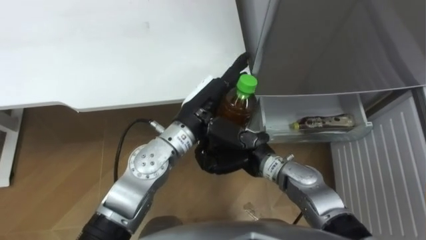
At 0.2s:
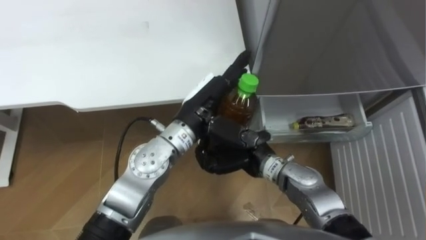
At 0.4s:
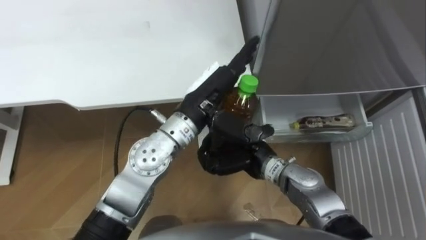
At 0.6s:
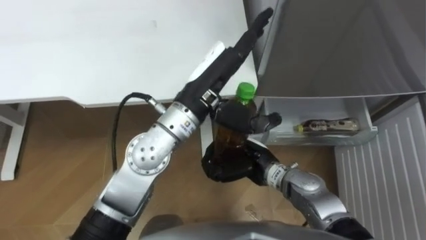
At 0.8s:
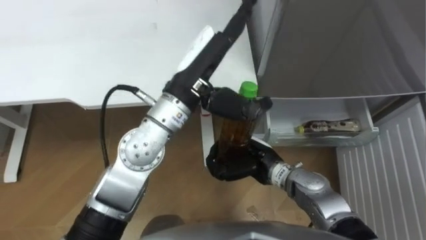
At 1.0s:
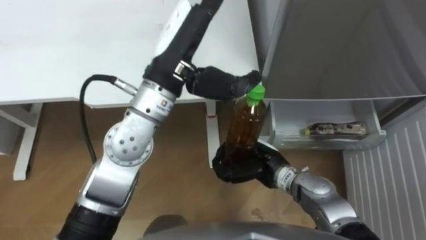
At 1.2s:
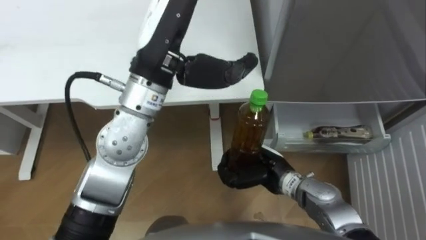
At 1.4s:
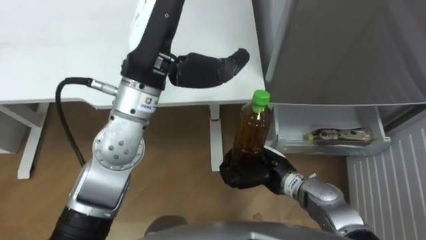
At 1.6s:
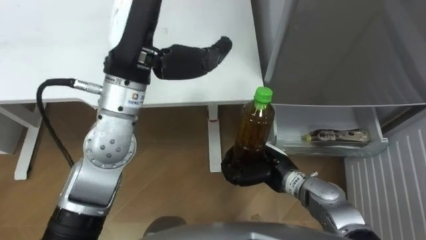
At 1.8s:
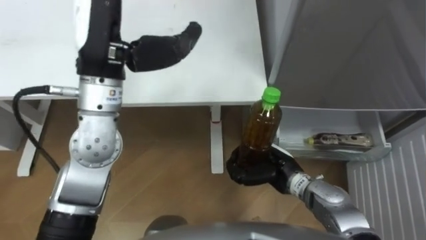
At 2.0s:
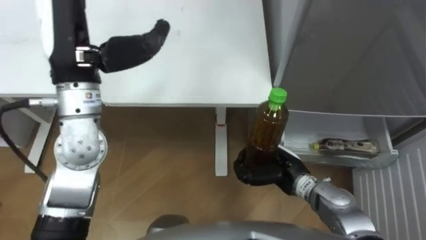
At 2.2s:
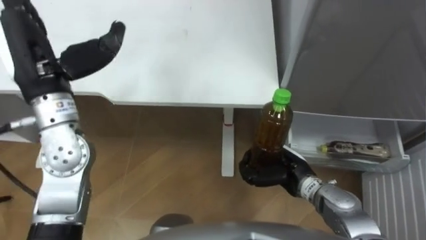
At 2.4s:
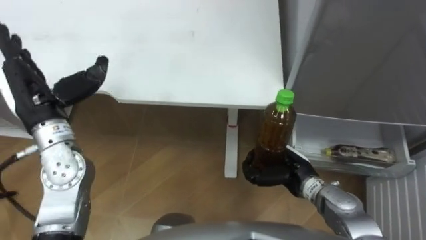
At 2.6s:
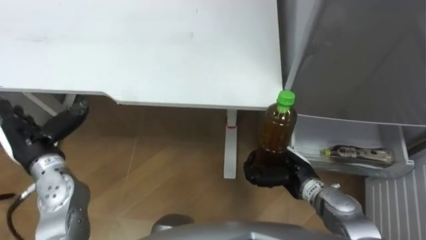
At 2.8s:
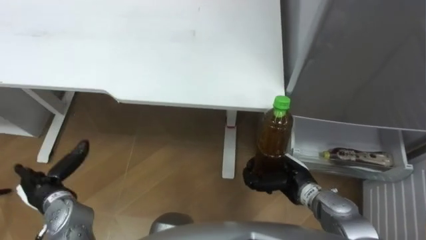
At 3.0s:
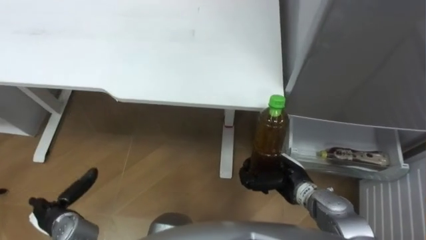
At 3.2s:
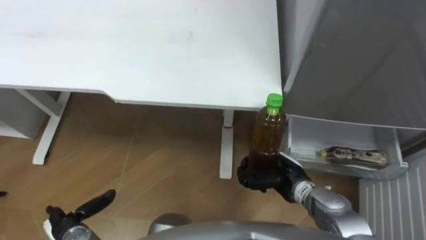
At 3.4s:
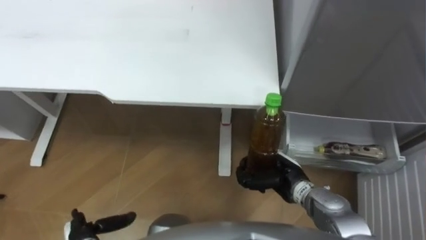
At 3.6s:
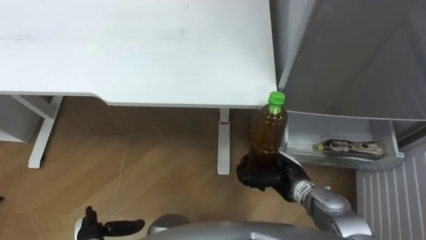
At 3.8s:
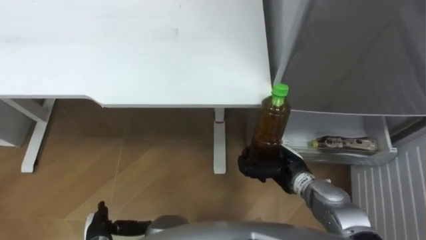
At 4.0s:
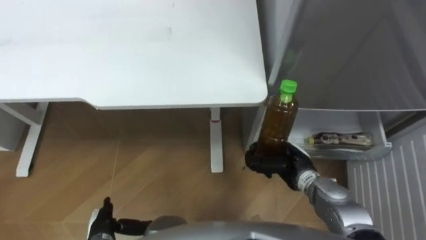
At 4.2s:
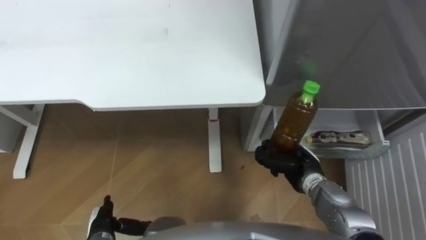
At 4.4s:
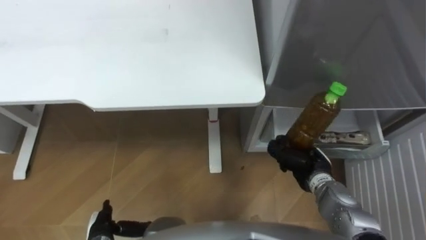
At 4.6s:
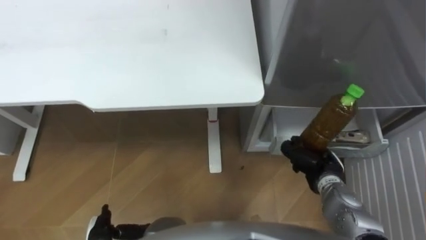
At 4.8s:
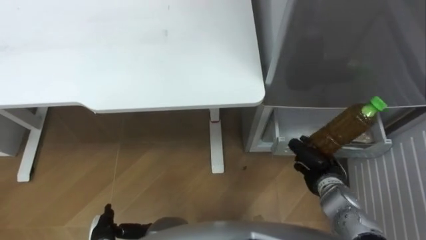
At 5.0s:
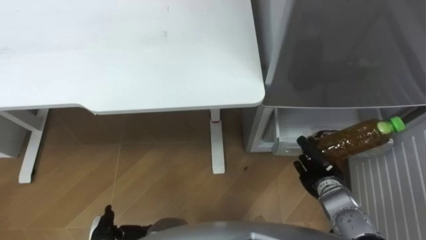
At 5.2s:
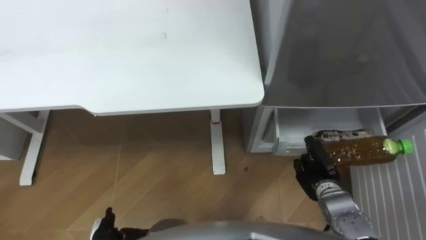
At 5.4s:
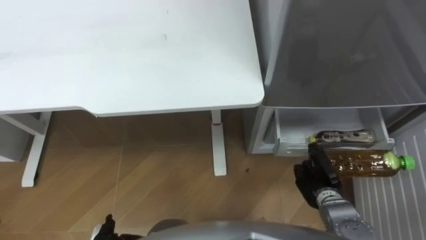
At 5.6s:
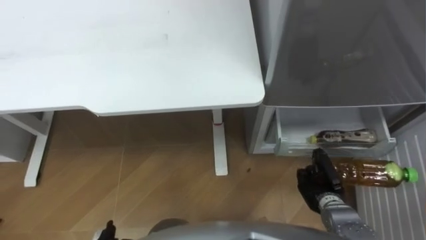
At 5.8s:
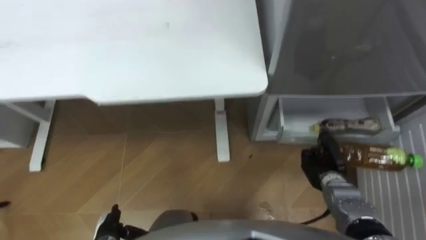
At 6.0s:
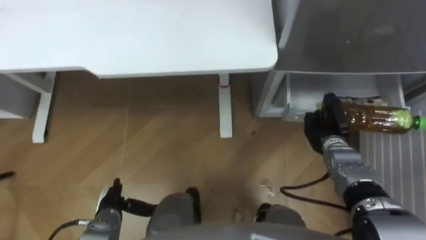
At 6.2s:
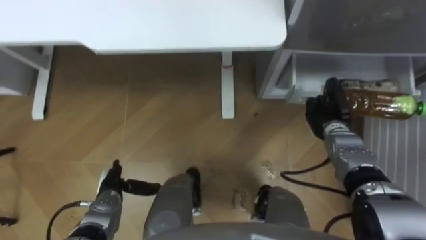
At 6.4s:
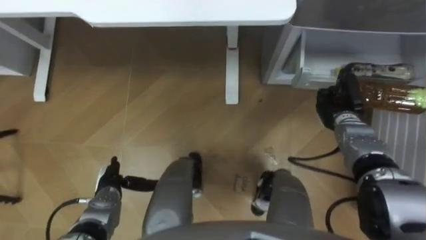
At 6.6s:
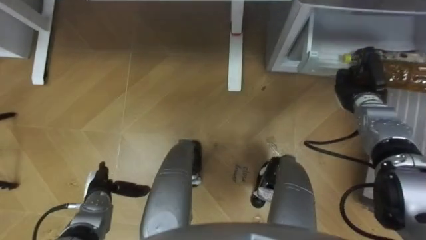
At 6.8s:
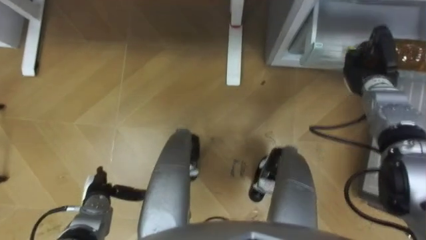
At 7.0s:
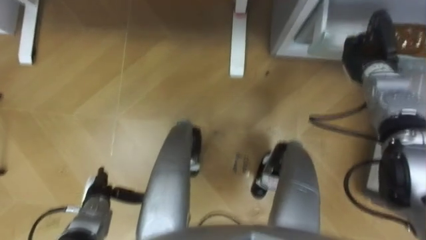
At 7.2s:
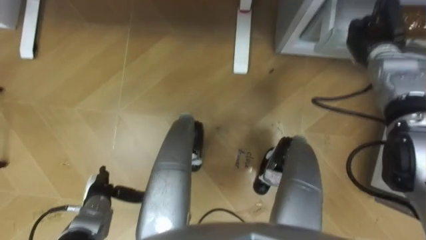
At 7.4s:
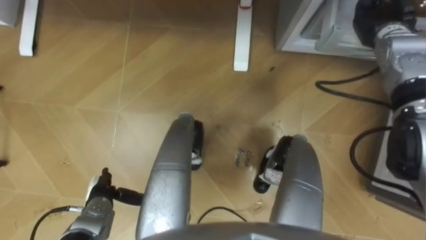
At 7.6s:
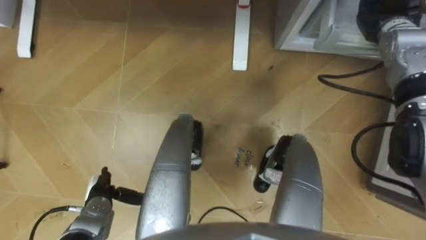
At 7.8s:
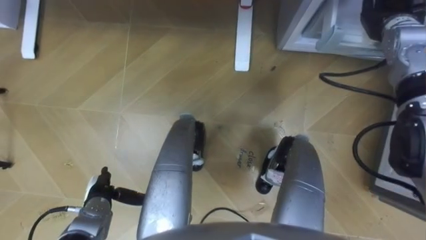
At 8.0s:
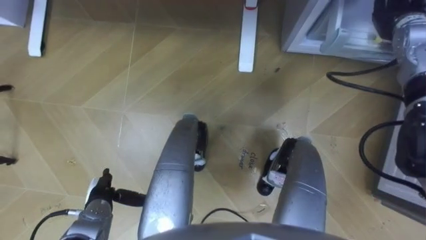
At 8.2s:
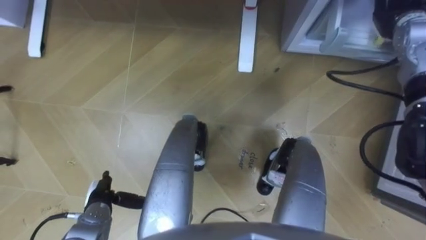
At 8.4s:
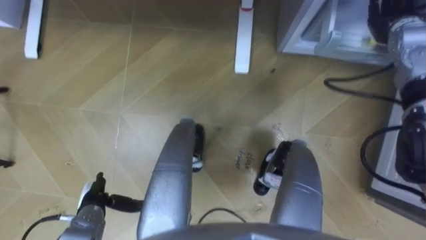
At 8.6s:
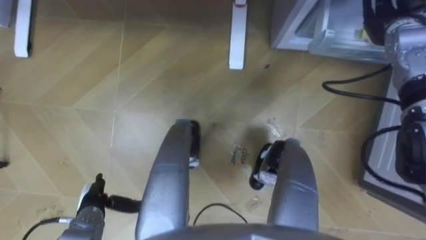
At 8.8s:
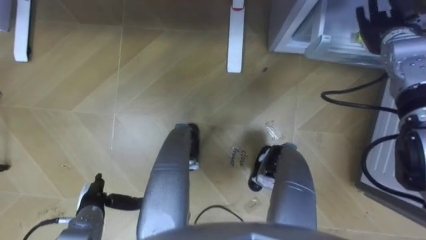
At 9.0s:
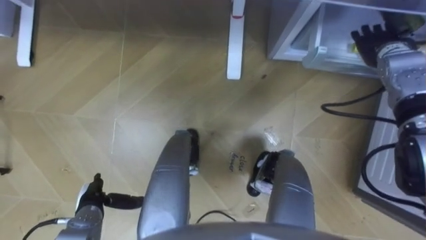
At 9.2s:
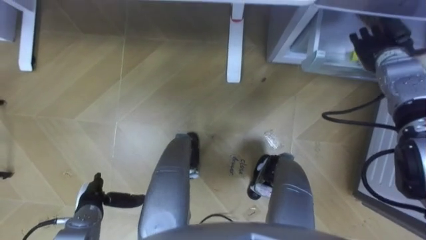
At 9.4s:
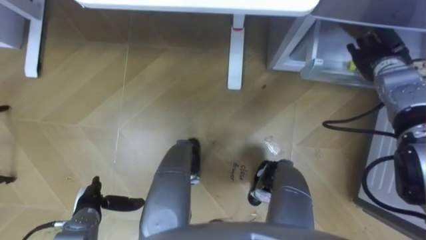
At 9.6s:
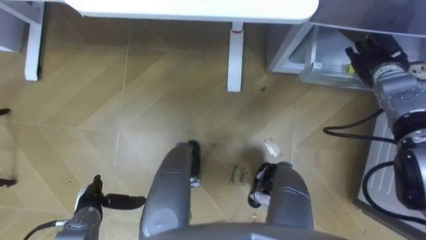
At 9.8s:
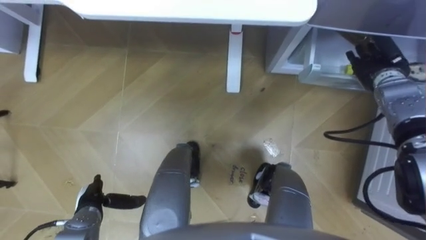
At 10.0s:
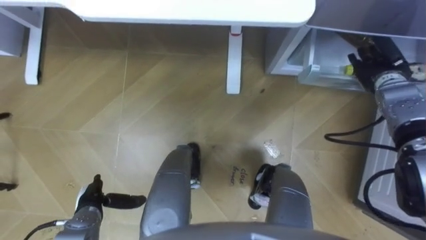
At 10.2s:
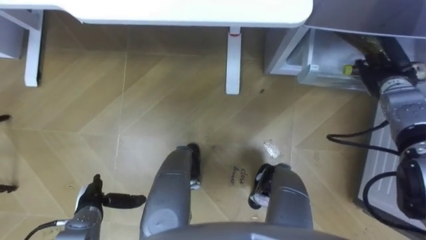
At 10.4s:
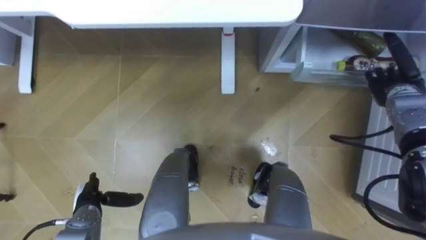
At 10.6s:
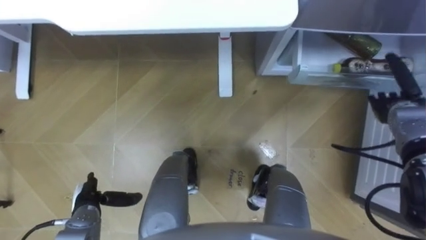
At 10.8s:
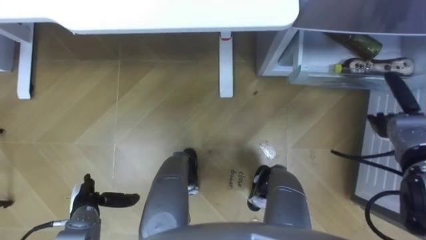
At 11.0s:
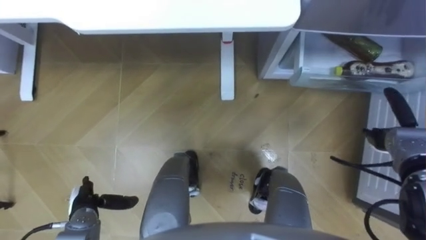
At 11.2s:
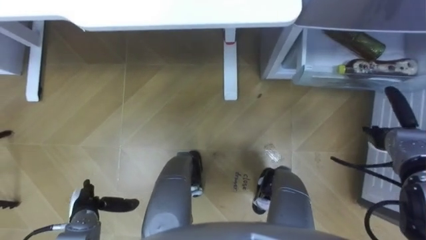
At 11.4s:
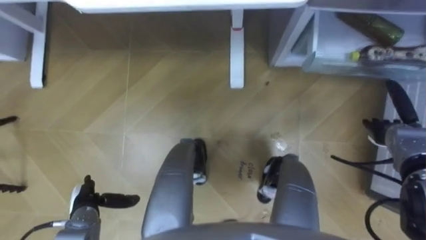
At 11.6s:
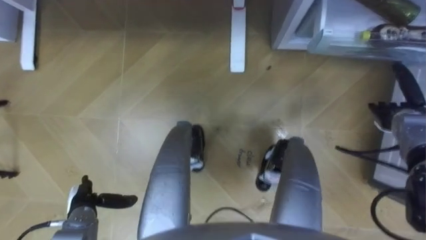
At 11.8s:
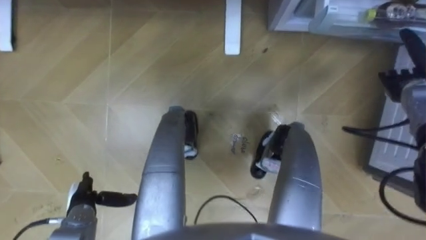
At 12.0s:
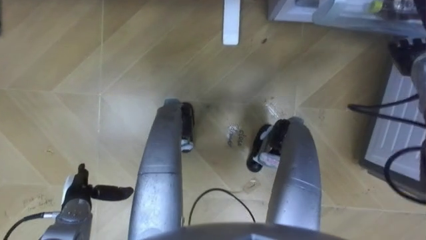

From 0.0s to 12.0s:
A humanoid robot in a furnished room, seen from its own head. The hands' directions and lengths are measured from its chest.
Task of the whole recording: Place the drink on the table on the bottom shelf of the refrigerator, then close the drawer and the refrigerator door.
From 0.0s to 1.6s: The right hand shifts some 5 cm to the right. The left hand goes about 20 cm upward and to the left.
From 1.6s to 3.0s: The right hand shifts by roughly 5 cm. Meanwhile the left hand moves downward, to the left and backward, about 40 cm.
From 3.0s to 4.4s: The left hand travels to the right and downward by approximately 10 cm. Meanwhile the right hand heads to the right, covering some 5 cm.
From 4.4s to 6.0s: The right hand goes about 5 cm forward.
From 6.0s to 7.6s: The right hand heads upward and forward, covering about 25 cm.
From 7.6s to 9.0s: The right hand opens up.
From 9.0s to 10.4s: The right hand travels backward and downward by about 10 cm.
From 10.4s to 12.0s: The right hand shifts roughly 5 cm upward.

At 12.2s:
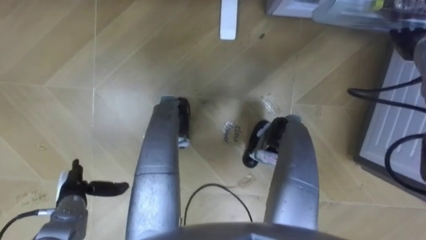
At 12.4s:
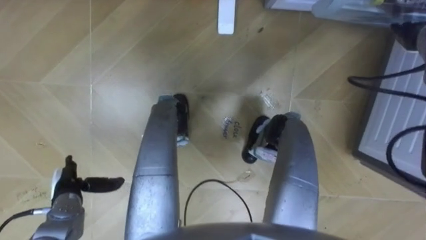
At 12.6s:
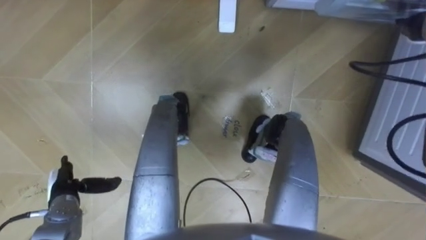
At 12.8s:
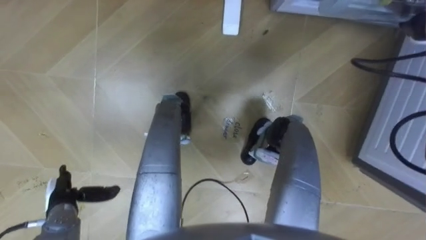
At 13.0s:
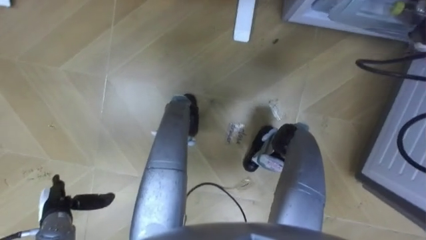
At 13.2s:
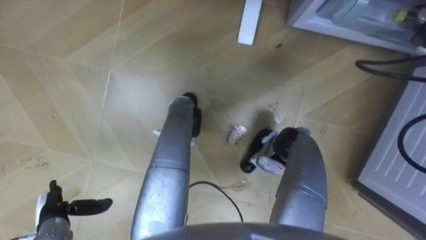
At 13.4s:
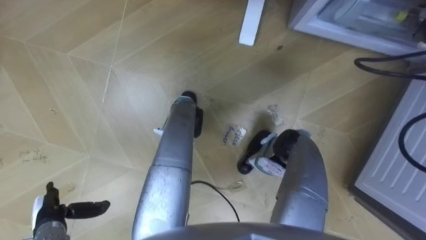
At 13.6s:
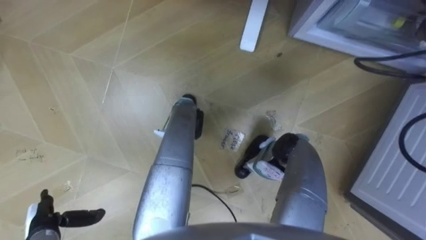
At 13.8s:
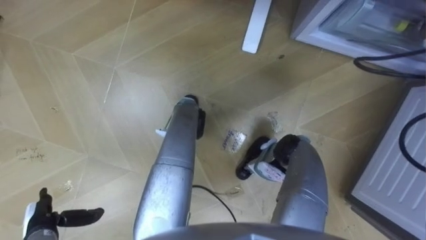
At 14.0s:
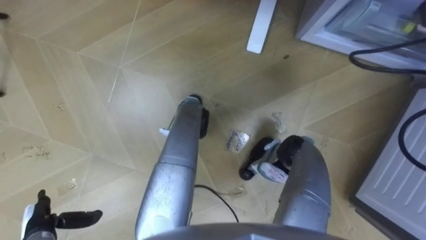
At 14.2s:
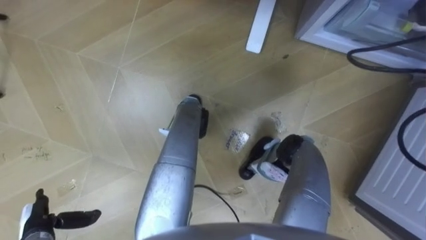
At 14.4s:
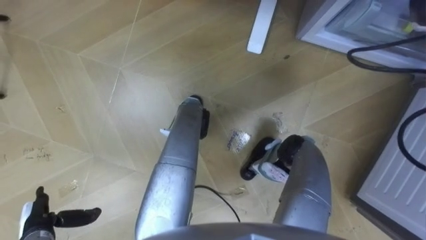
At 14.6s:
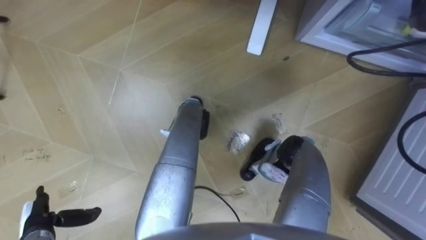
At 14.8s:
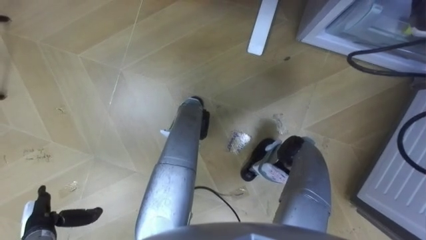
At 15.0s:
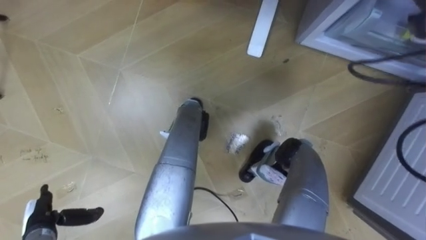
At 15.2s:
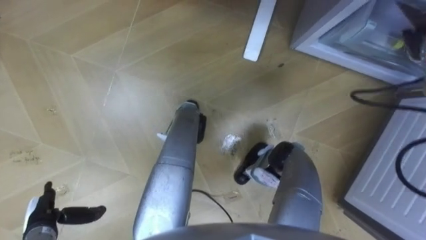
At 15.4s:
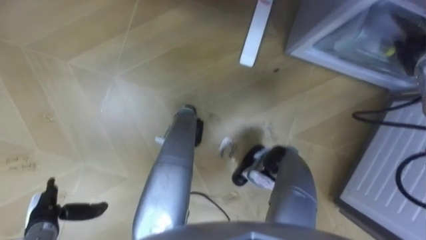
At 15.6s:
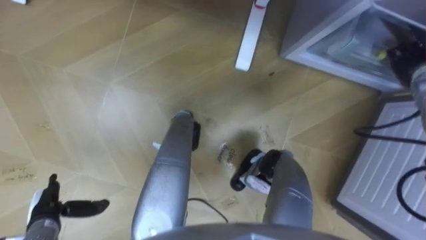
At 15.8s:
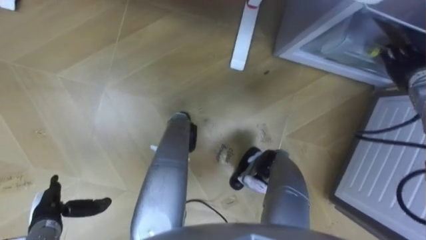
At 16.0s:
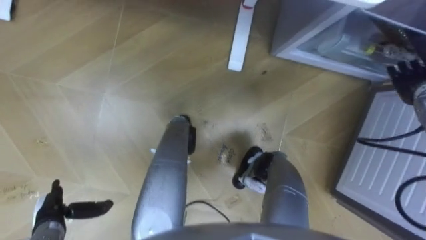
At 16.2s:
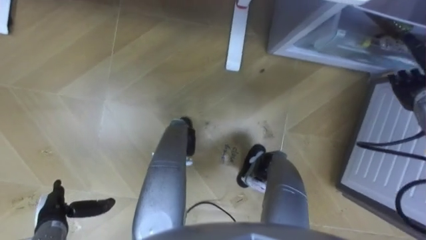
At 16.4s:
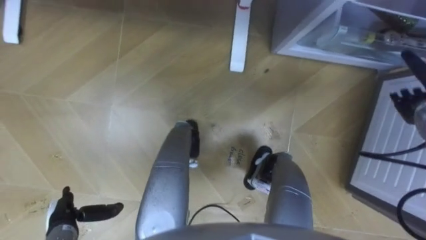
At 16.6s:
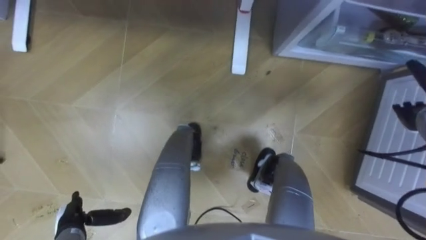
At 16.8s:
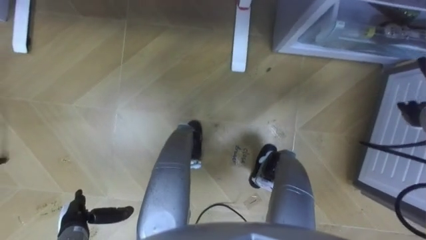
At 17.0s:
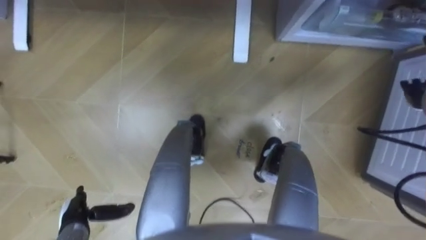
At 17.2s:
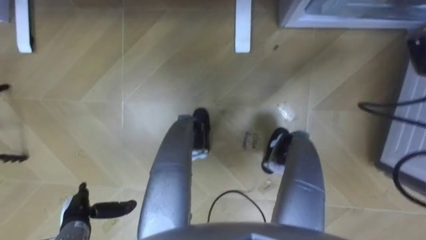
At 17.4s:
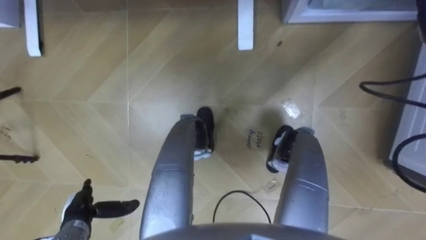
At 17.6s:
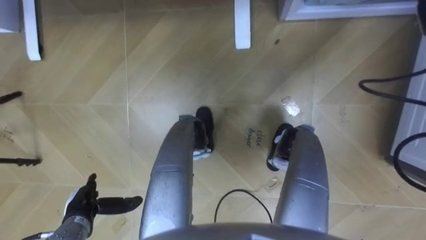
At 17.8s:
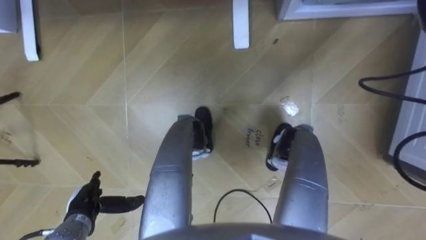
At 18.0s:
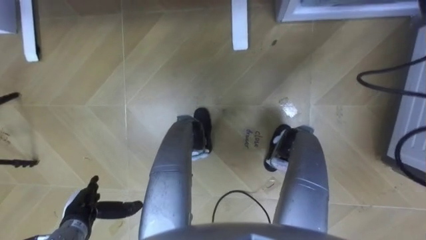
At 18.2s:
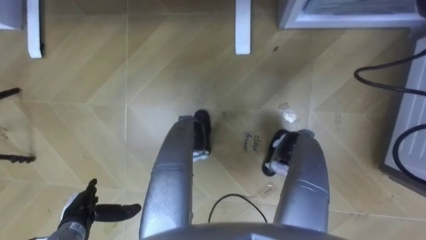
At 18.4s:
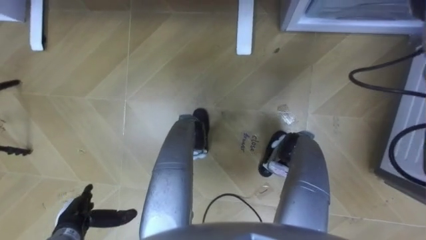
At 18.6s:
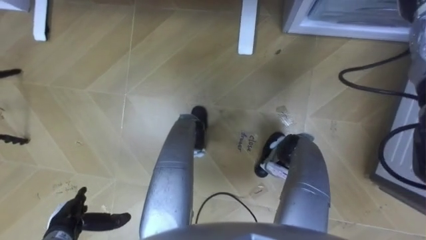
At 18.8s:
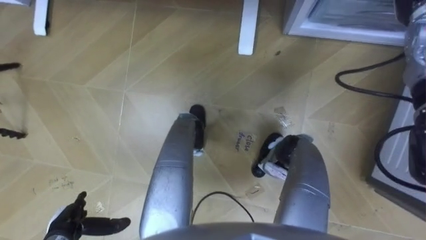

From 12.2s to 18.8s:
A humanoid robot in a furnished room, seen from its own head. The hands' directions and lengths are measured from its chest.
Task of the whole recording: Place the drink on the table on the bottom shelf of the refrigerator, then close the drawer and the refrigerator door.
From 12.2s to 13.8s: The left hand goes some 5 cm backward.
From 15.4s to 17.2s: The left hand is displaced to the right by approximately 5 cm.
